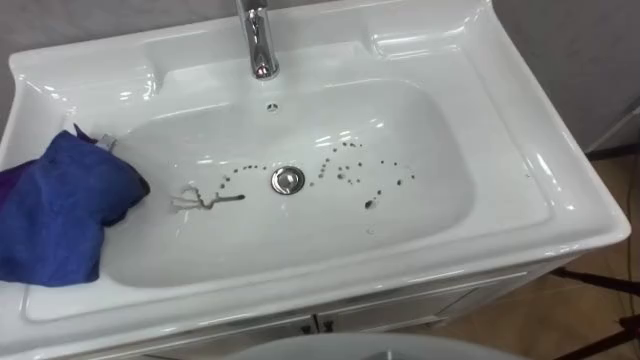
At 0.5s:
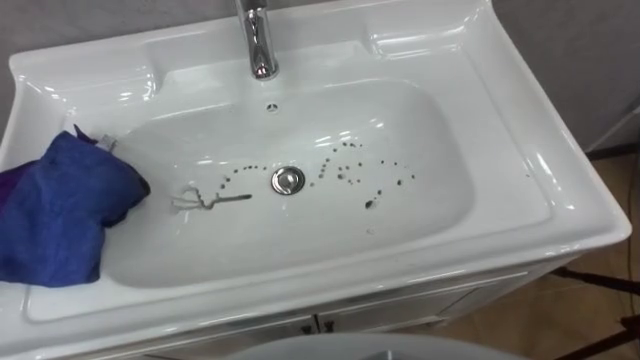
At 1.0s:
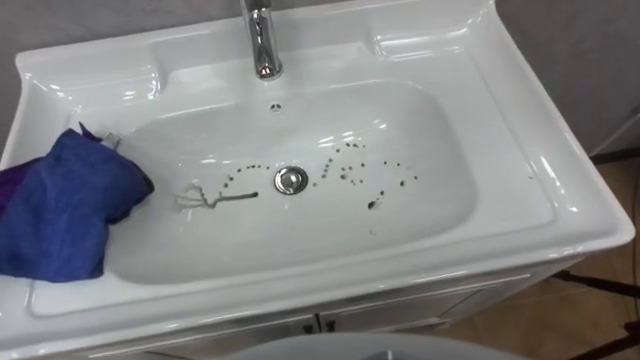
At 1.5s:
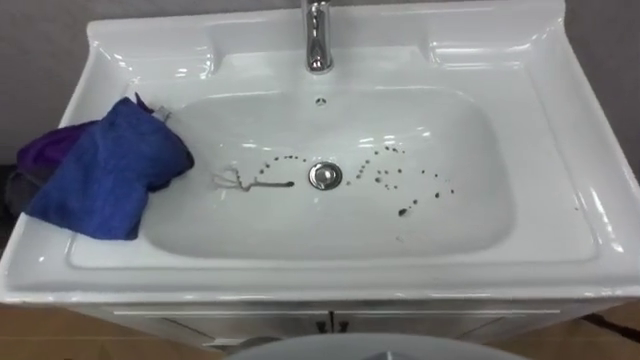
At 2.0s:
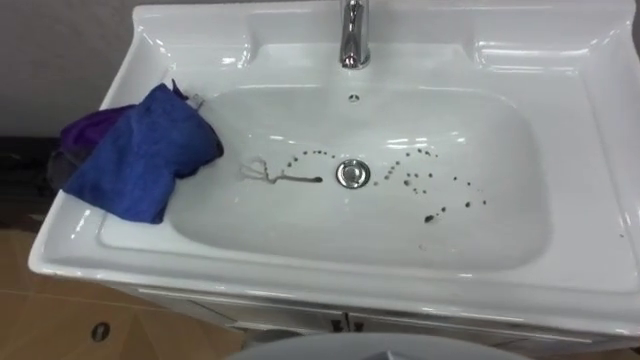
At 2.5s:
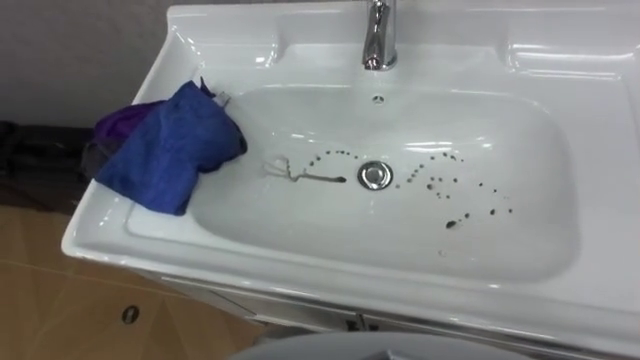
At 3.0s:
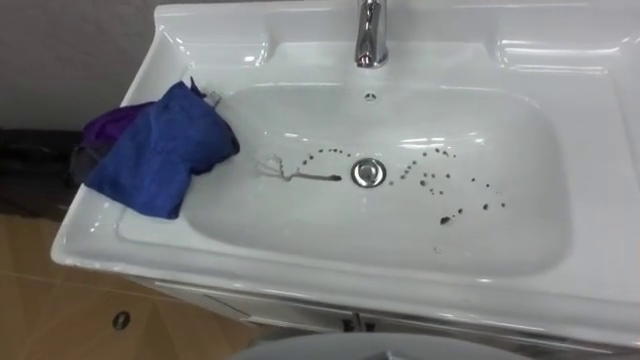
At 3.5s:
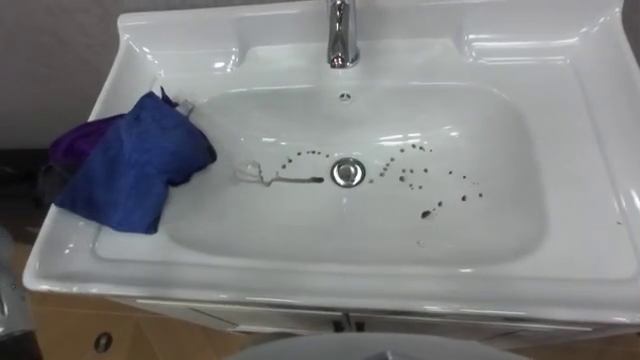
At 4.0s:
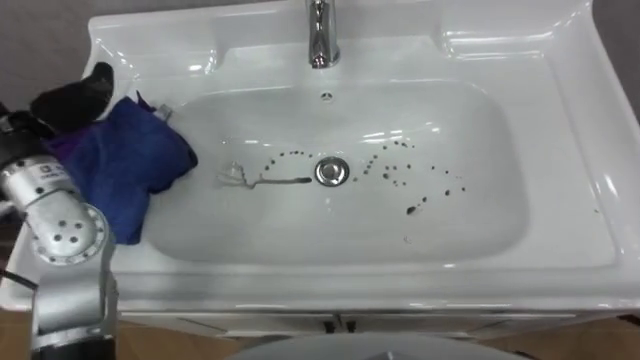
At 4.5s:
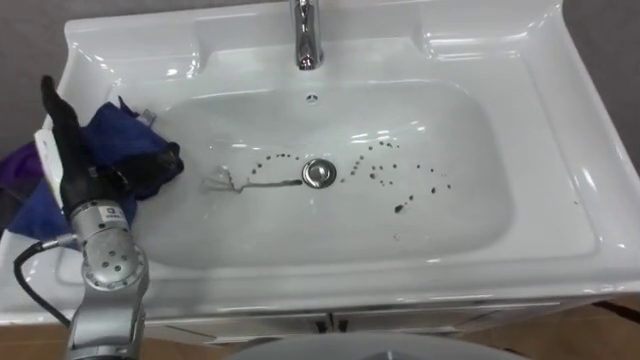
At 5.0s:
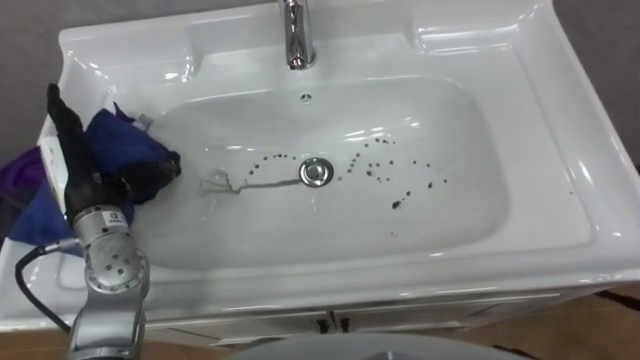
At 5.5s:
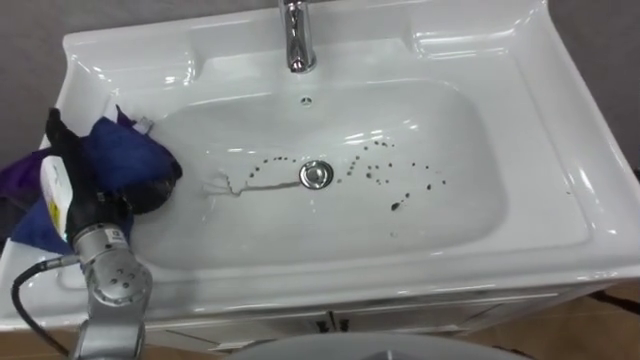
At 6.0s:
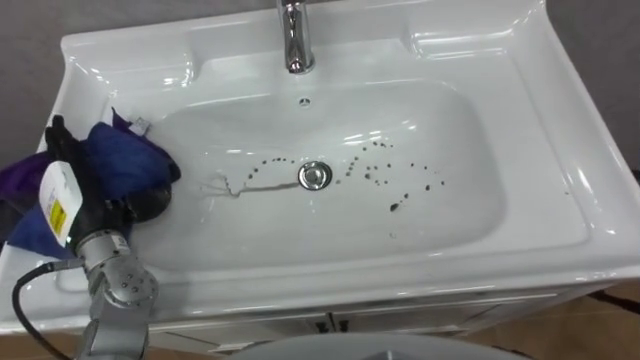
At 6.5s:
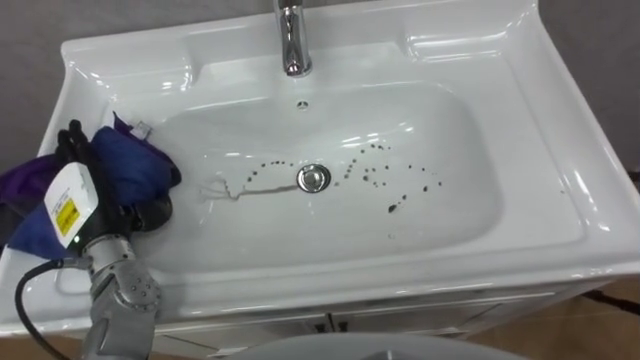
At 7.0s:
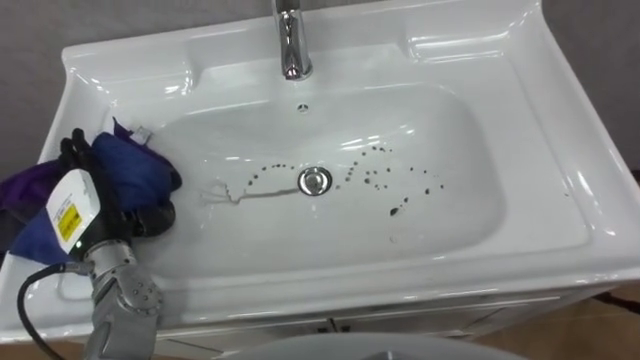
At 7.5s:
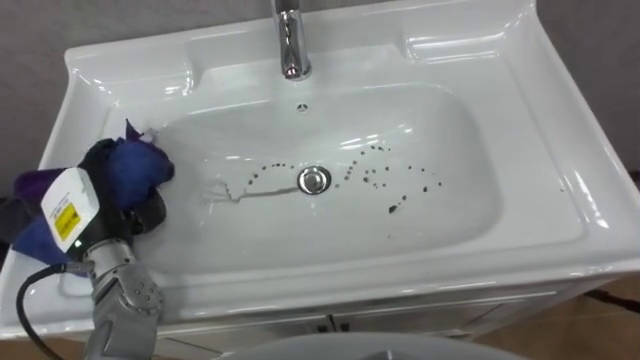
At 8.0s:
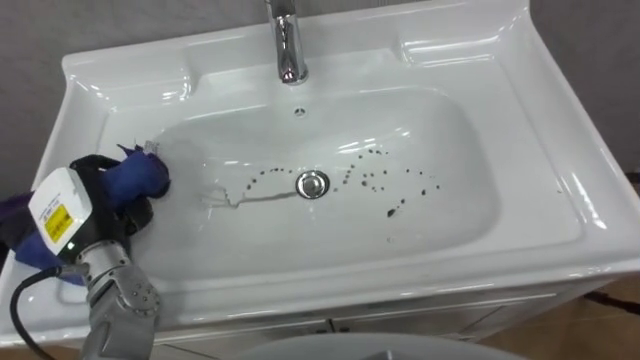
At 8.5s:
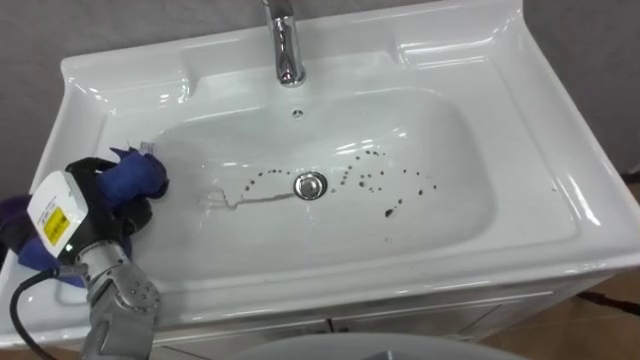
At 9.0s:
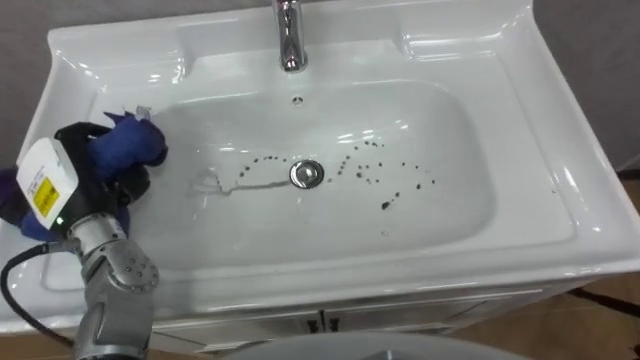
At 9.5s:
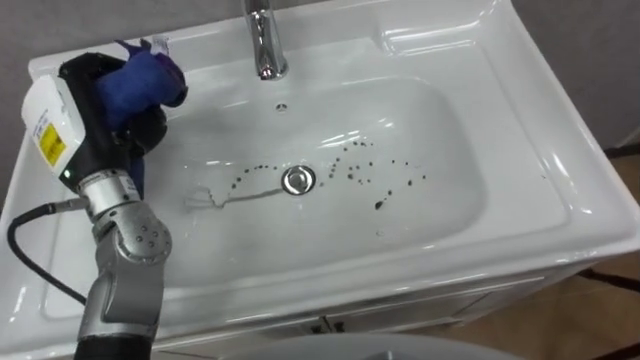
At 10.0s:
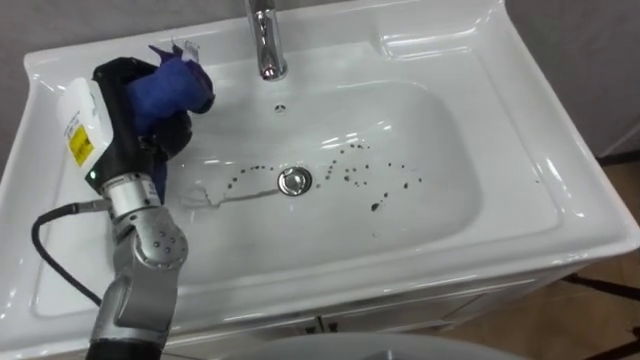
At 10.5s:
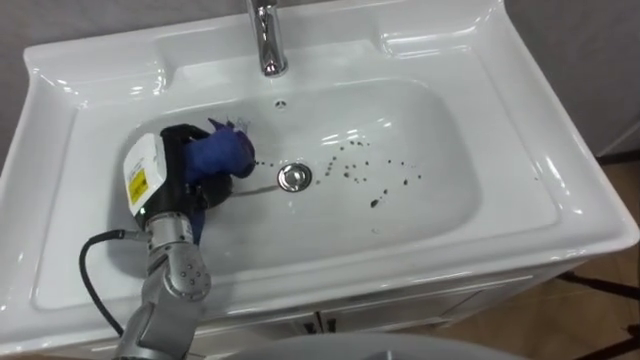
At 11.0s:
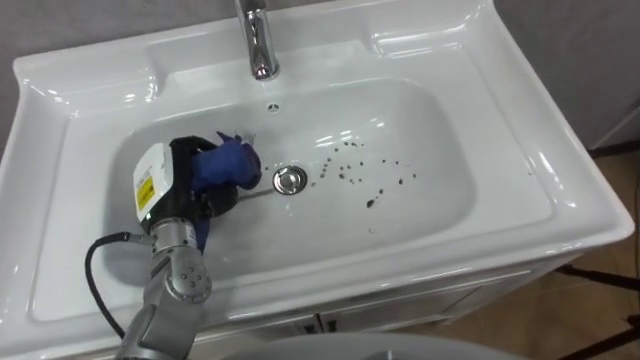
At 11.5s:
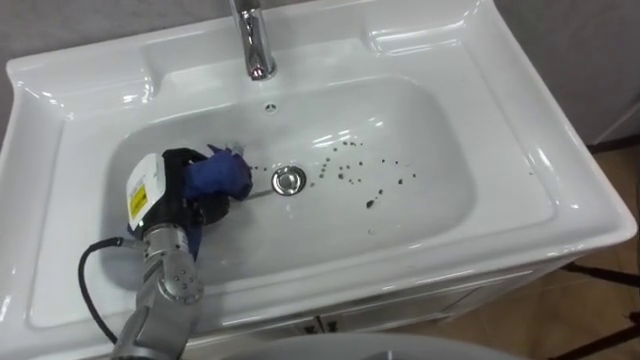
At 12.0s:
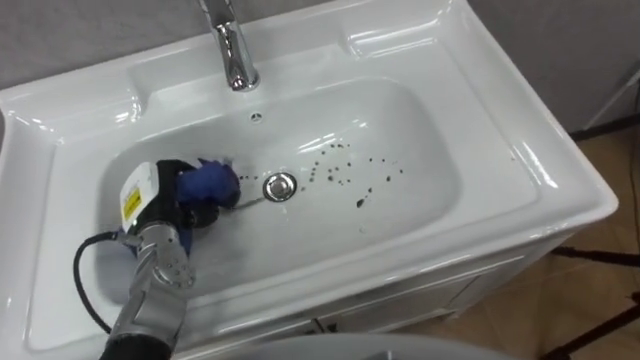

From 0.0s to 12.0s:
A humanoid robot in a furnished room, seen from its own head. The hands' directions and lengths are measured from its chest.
Task of the whole recording: Use the cloth on the right to wipe away the black stain in the sink.
From 6.0s to 8.0s: The left hand closes its fingers.
From 8.0s to 10.0s: The left hand shifts some 15 cm upward, forward and to the right.
From 10.0s to 12.0s: The left hand heads downward, covering approximately 15 cm.

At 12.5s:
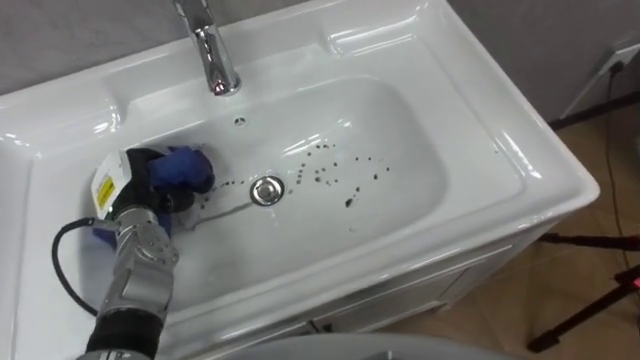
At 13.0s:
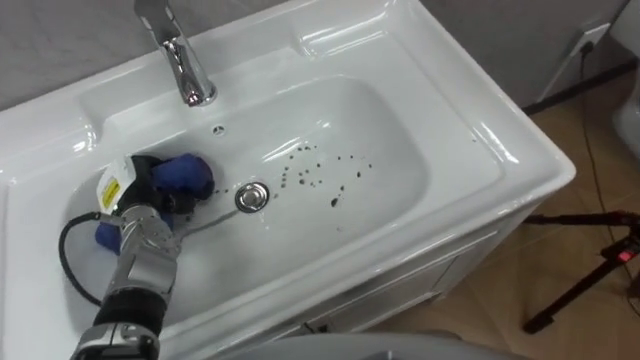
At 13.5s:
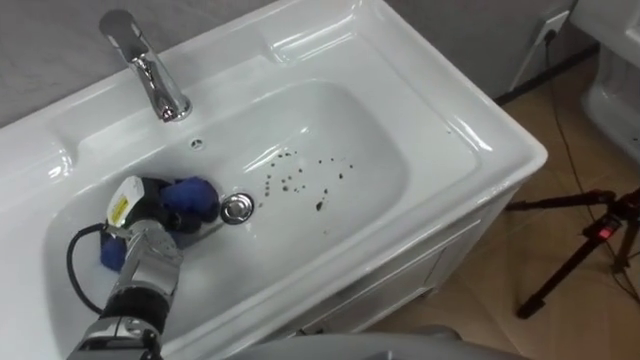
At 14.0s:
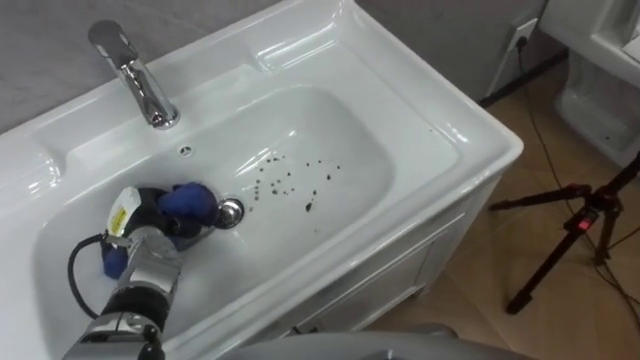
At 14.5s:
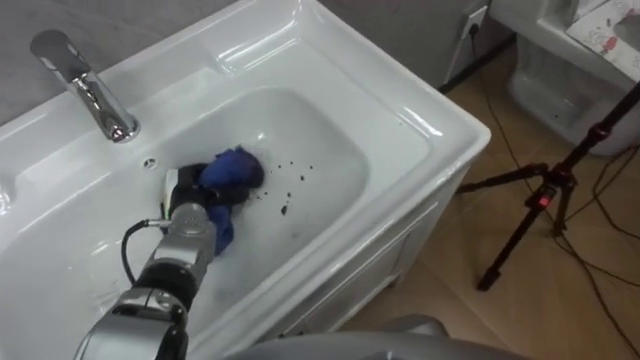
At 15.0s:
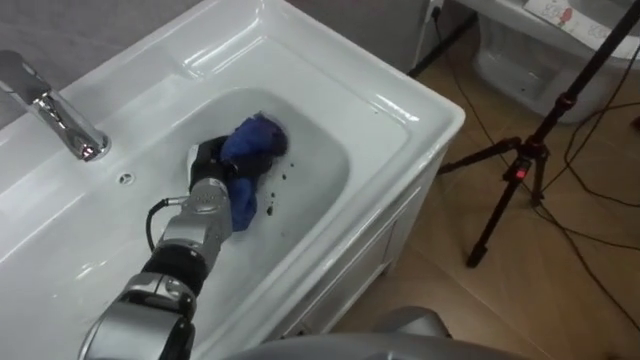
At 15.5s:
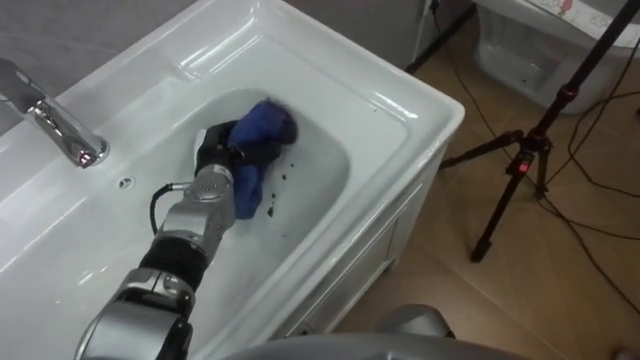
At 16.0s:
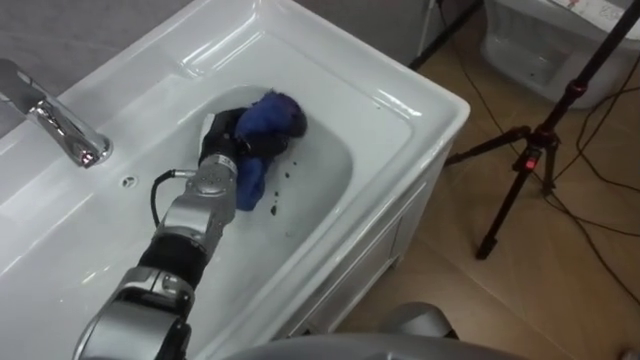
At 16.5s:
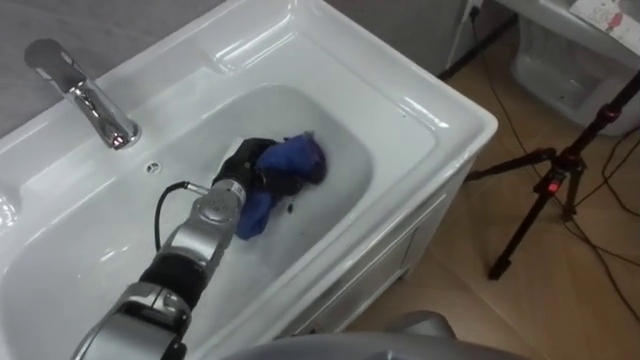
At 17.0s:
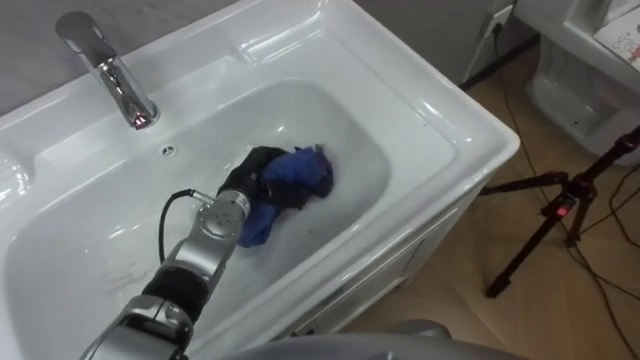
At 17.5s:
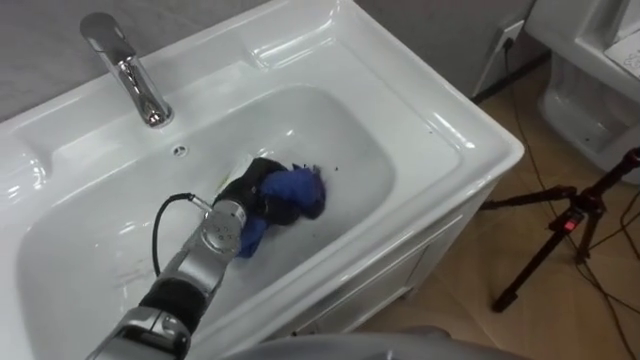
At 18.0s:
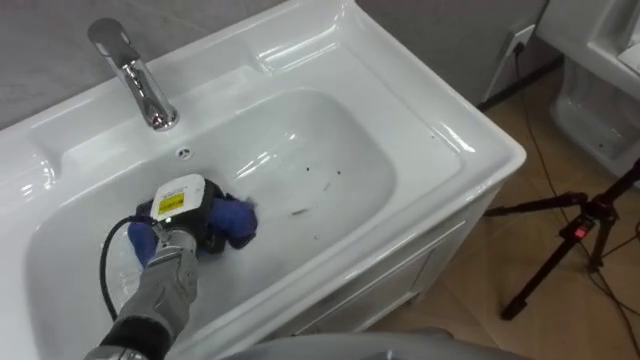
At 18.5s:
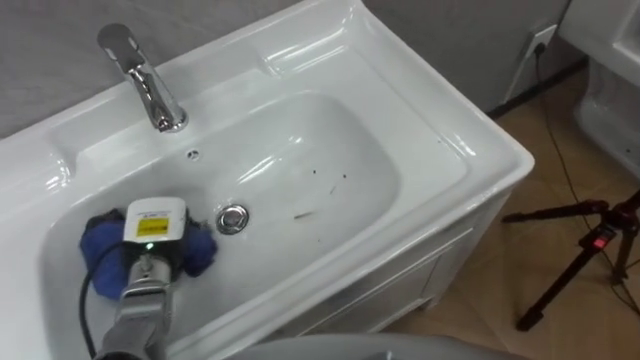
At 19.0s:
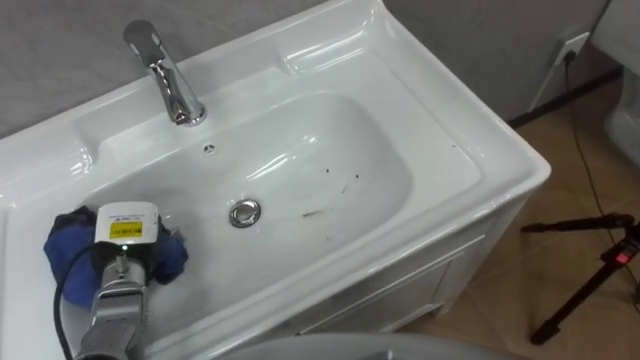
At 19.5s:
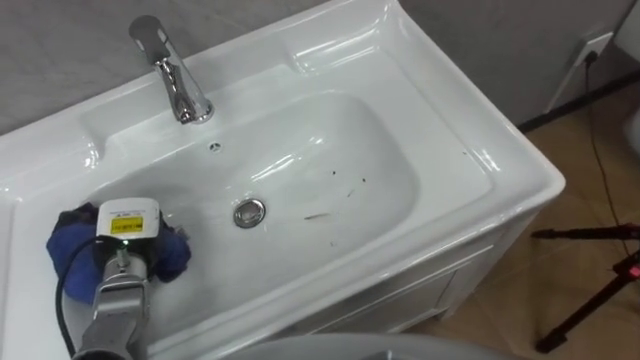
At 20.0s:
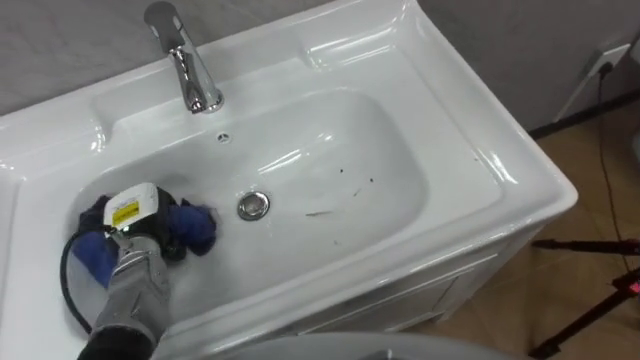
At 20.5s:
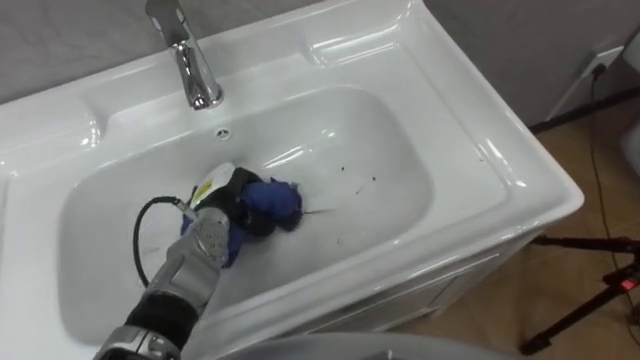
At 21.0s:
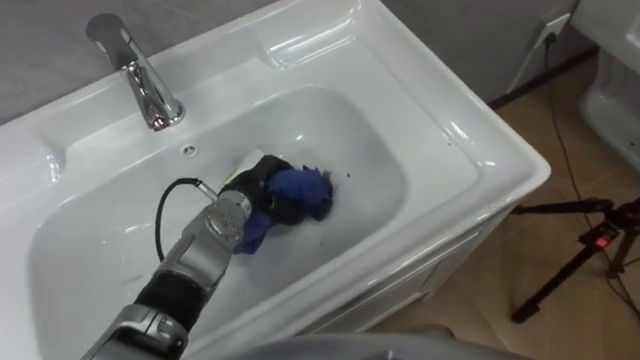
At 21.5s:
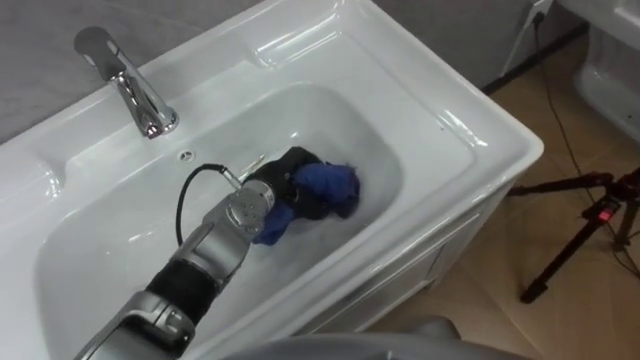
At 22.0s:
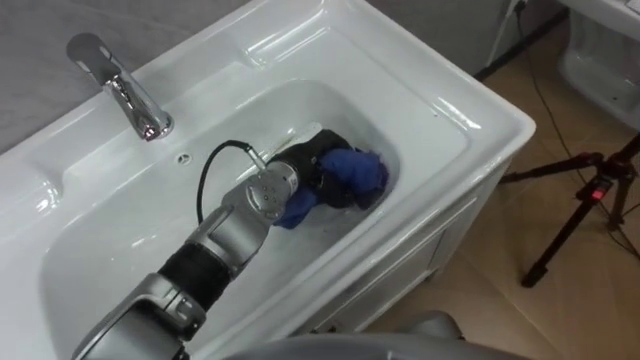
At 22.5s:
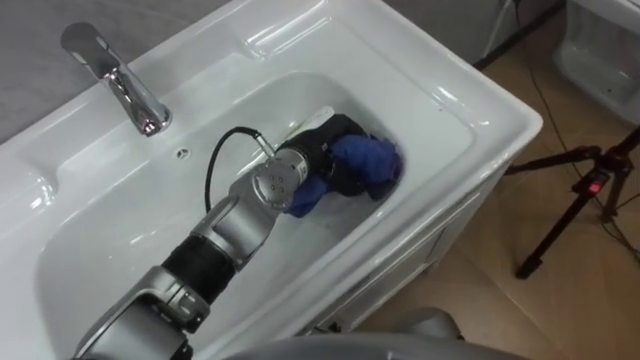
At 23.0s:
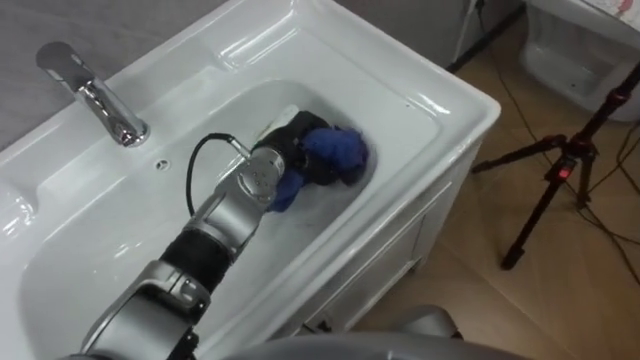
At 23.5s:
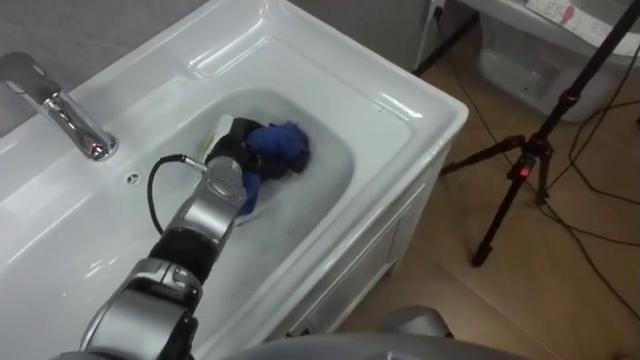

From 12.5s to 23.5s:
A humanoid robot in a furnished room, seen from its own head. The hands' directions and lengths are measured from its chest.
Task of the whole recording: Use the cloth on the right to wipe away the black stain in the sink.
From 12.5s to 14.5s: The left hand goes some 10 cm to the right and downward.
From 14.5s to 16.0s: The left hand is displaced to the right, upward and forward by some 10 cm.
From 16.0s to 18.0s: The left hand moves backward, to the left and downward, about 15 cm.
From 18.0s to 20.0s: The left hand heads to the left, covering roughly 5 cm.
From 20.0s to 21.5s: The left hand shifts approximately 20 cm to the right.
From 21.5s to 23.5s: The left hand is displaced to the left by approximately 10 cm.
